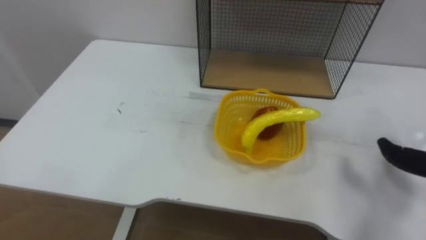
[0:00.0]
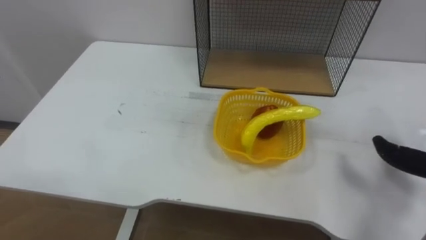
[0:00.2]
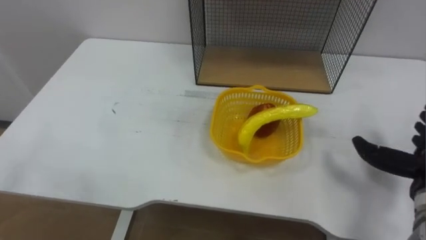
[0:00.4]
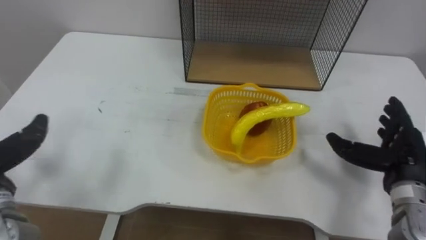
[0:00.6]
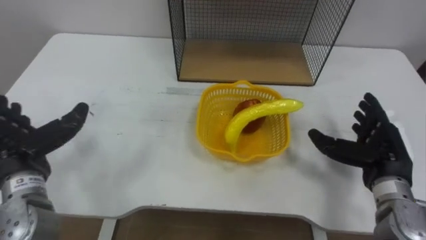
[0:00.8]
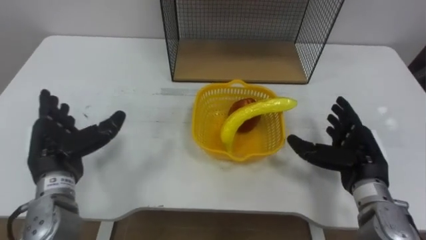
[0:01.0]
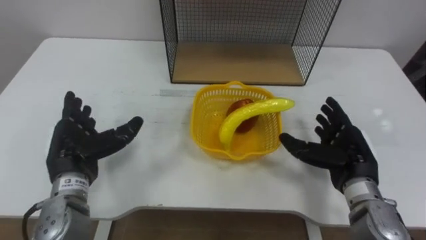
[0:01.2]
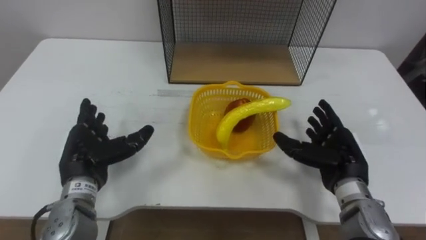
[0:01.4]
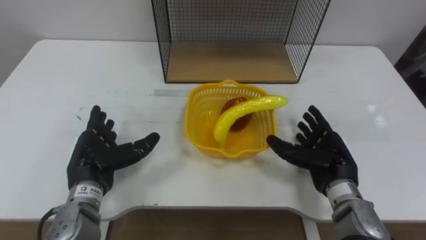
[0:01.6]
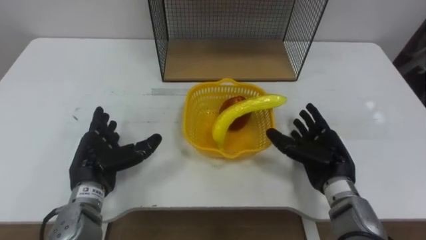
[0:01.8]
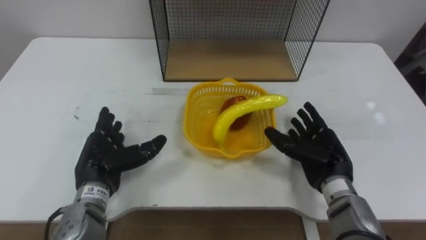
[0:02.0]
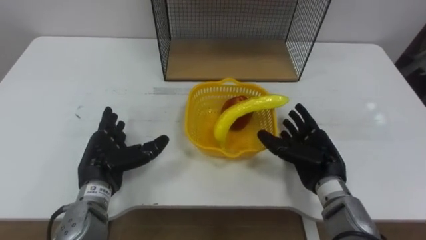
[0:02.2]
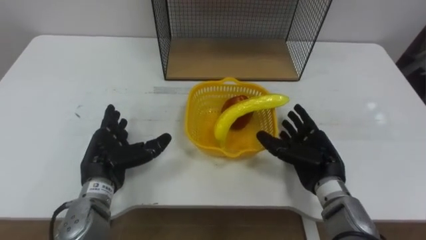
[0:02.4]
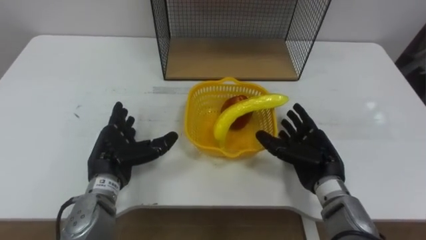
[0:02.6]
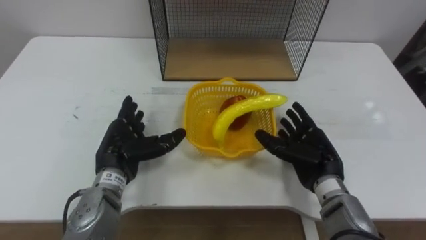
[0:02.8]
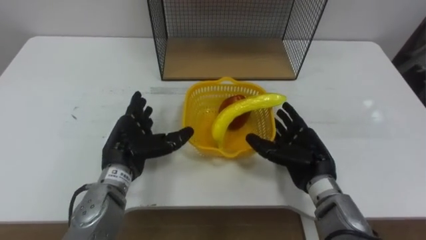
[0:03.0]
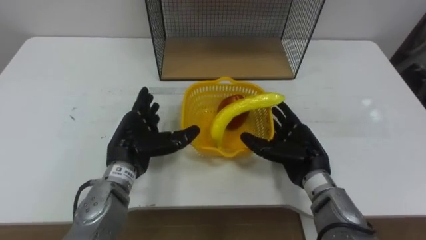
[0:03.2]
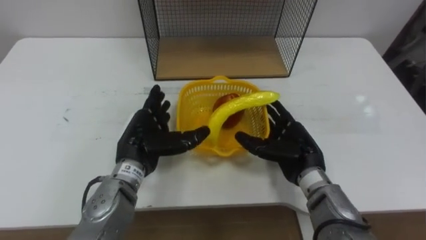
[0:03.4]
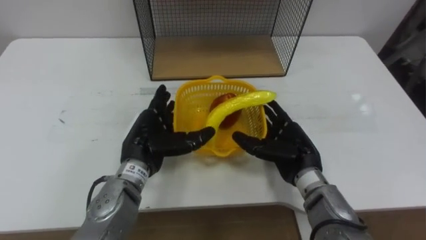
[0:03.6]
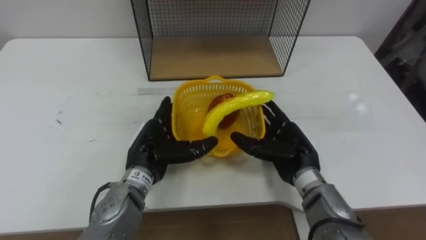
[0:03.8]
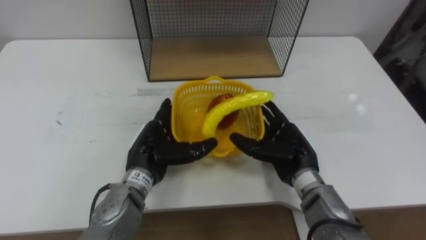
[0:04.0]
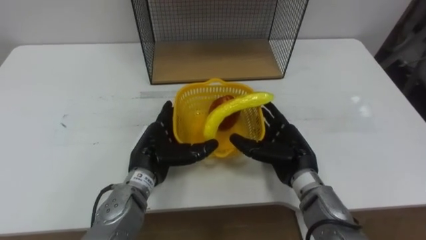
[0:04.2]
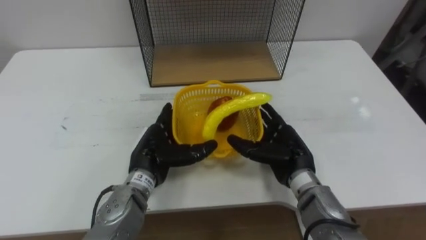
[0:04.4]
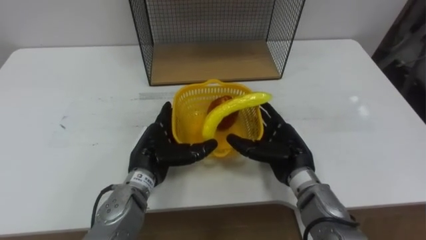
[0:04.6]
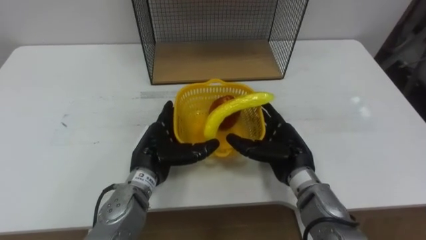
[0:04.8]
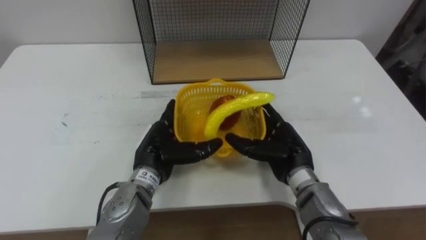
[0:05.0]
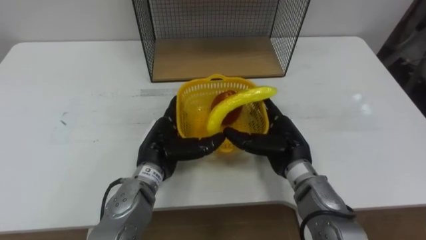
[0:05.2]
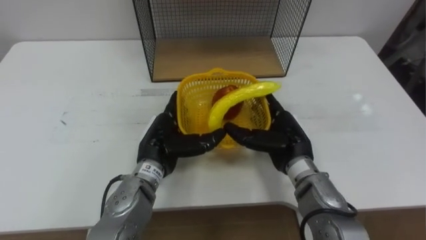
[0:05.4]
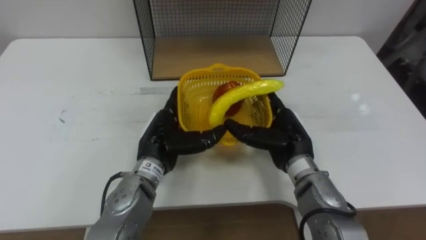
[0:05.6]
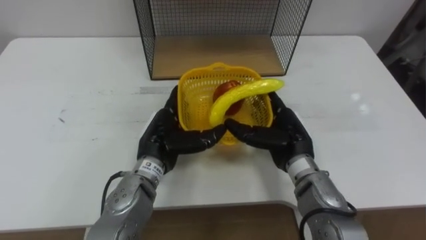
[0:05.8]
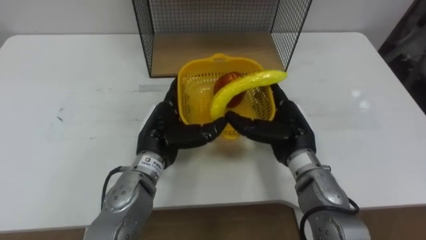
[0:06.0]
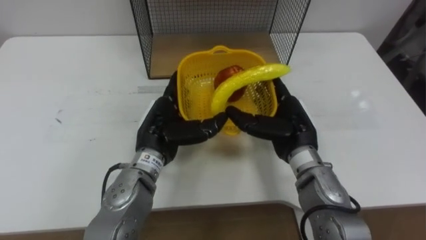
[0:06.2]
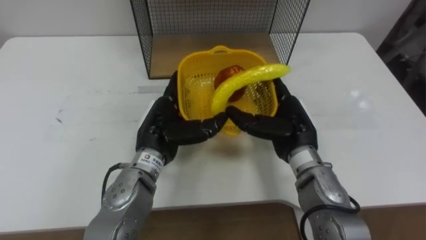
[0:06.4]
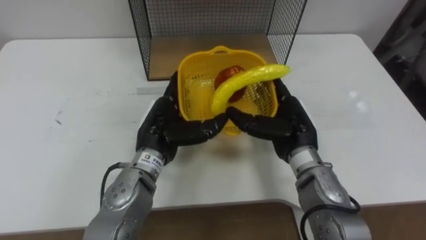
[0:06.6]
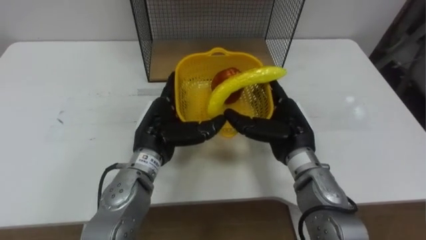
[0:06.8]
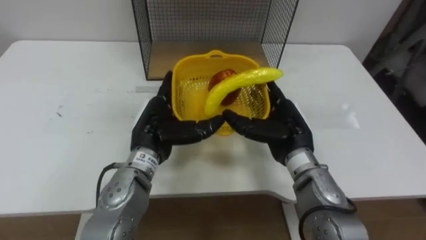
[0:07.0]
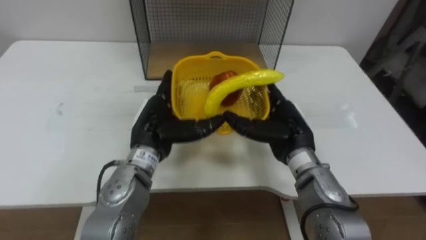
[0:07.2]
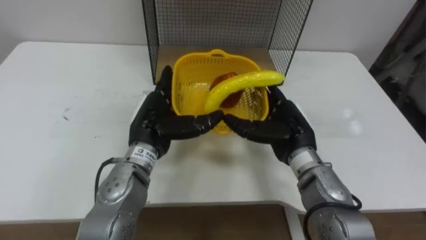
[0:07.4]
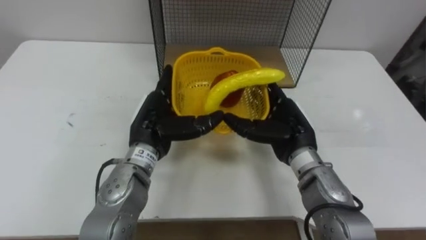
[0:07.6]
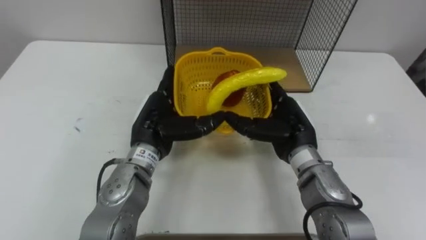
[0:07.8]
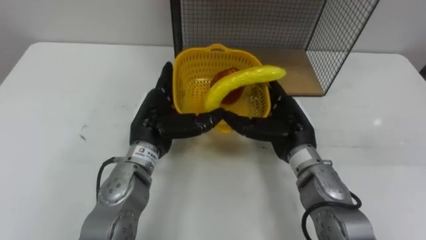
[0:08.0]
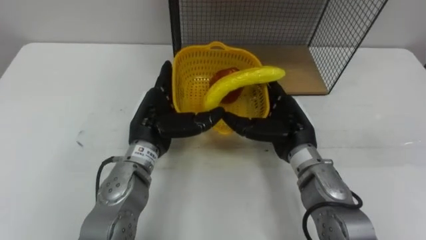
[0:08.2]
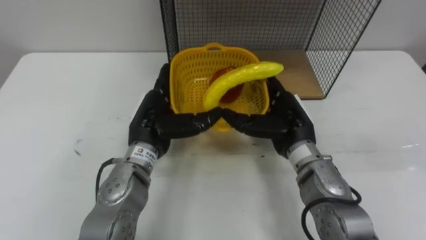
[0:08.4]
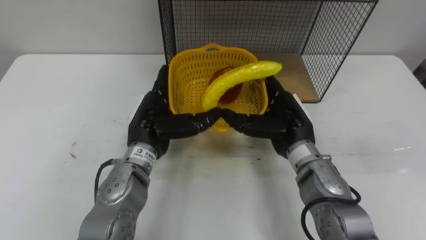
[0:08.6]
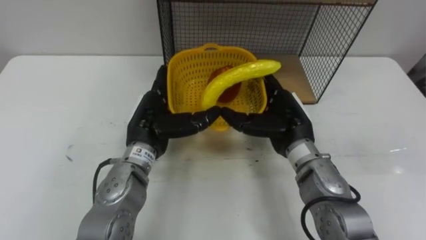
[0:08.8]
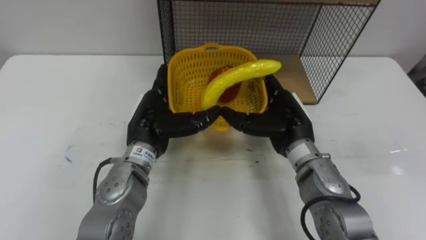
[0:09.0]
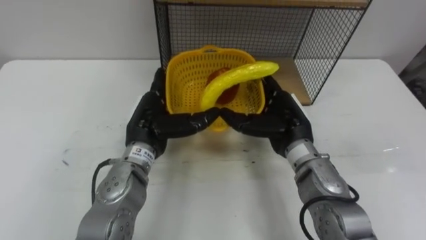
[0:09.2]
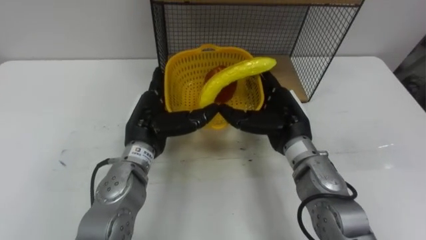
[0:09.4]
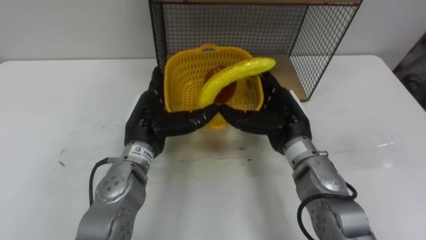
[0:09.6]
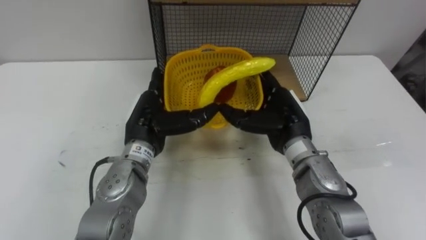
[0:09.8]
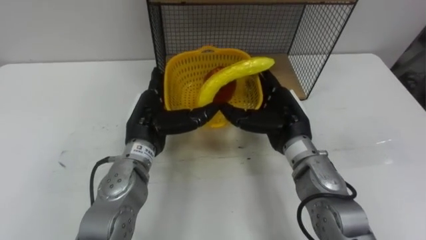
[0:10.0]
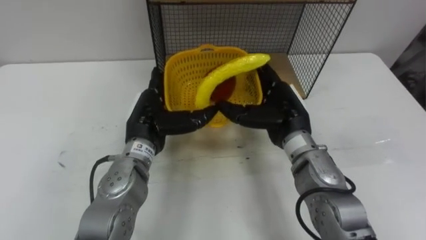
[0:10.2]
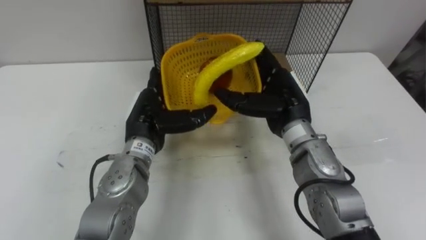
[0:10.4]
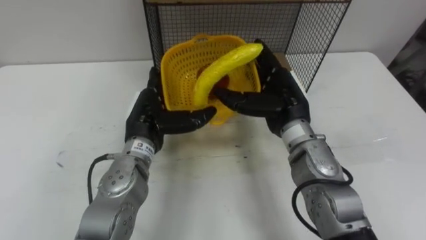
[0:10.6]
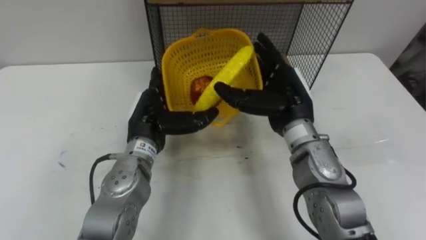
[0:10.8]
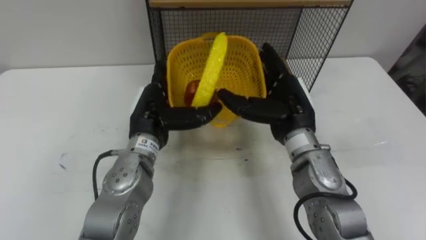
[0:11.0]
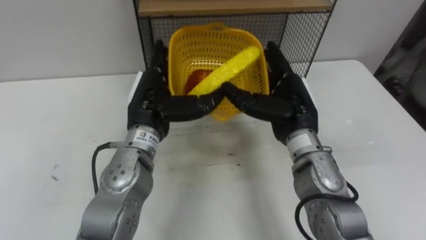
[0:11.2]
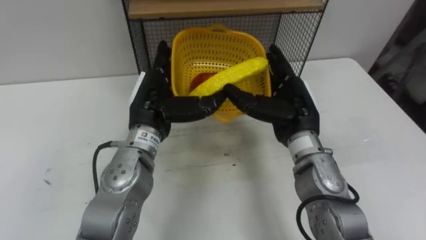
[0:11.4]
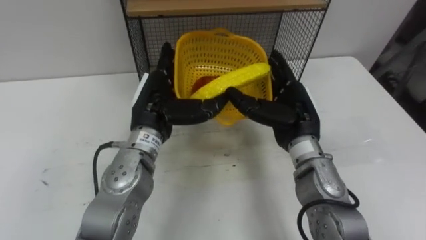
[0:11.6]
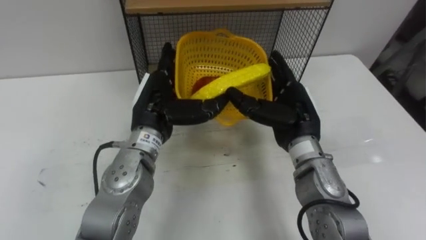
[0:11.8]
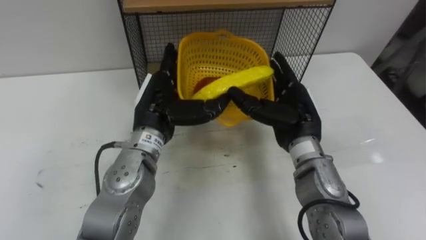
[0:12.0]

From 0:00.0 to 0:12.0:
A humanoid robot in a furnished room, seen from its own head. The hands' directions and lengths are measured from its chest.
Task of the whole recording: Put the fruit on the table into the basket, then place the basket on the shelf.
From 0:01.6 to 0:03.0: The left hand travels to the right by roughly 5 cm.
From 0:03.0 to 0:04.4: The left hand changes place by roughly 5 cm.
From 0:04.4 to 0:06.0: The right hand shifts by roughly 5 cm. The left hand ends up some 5 cm from where it was.

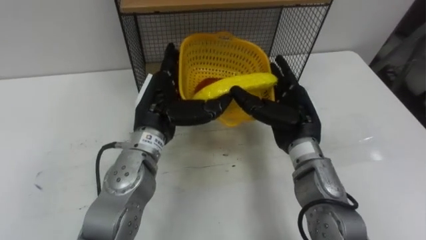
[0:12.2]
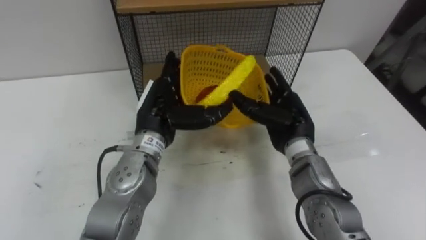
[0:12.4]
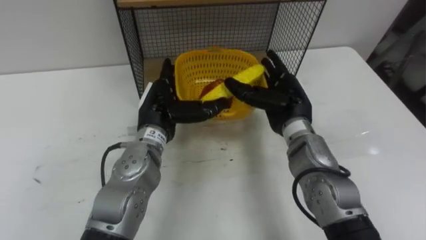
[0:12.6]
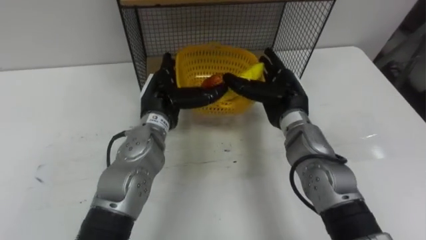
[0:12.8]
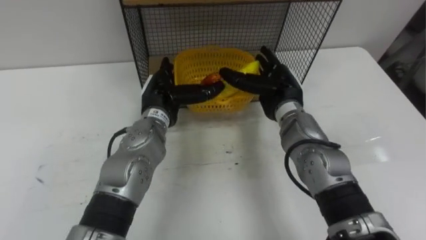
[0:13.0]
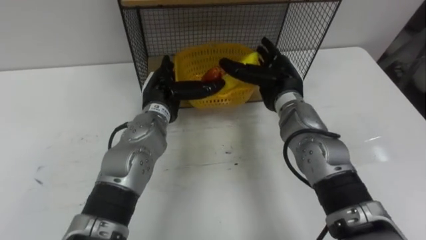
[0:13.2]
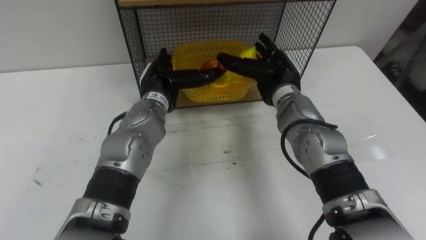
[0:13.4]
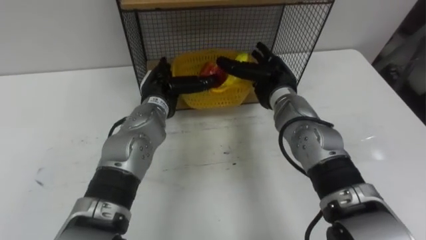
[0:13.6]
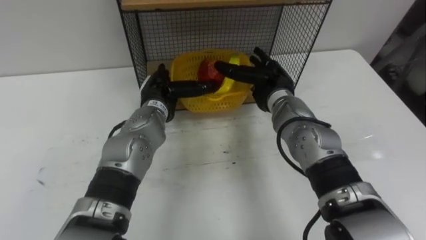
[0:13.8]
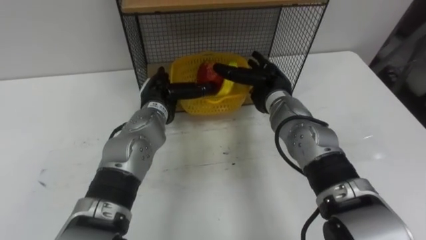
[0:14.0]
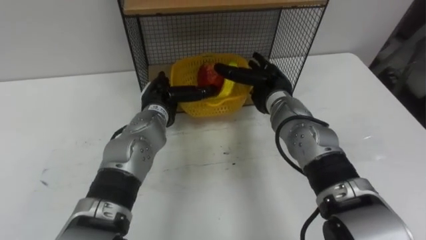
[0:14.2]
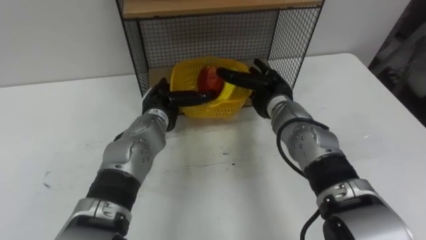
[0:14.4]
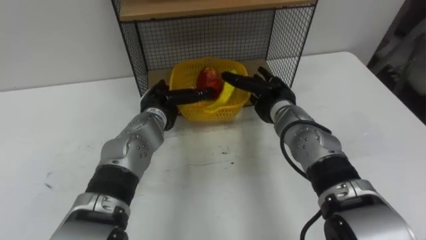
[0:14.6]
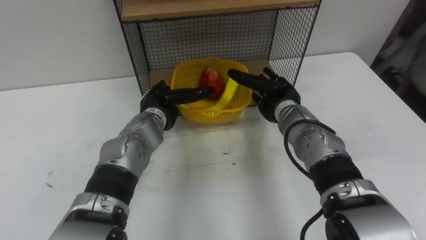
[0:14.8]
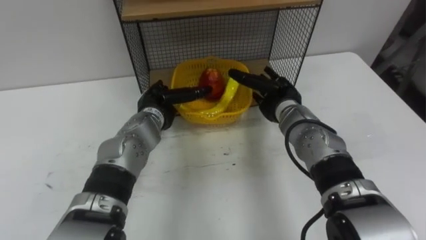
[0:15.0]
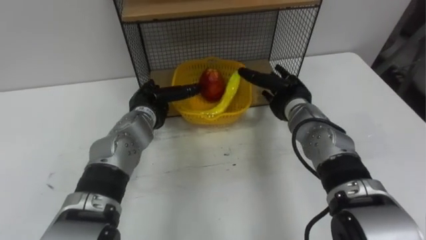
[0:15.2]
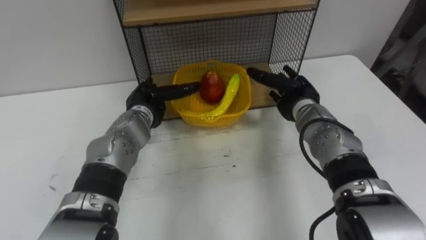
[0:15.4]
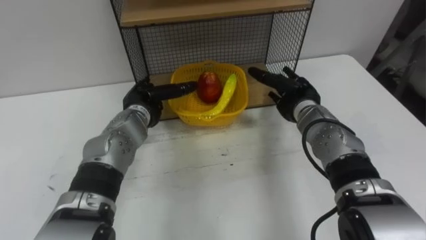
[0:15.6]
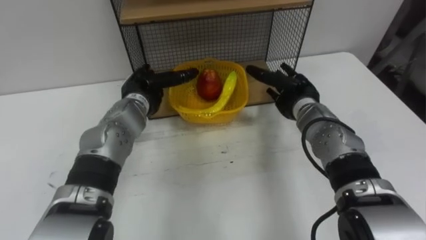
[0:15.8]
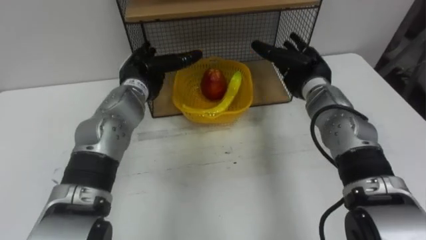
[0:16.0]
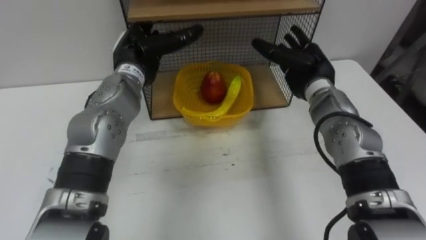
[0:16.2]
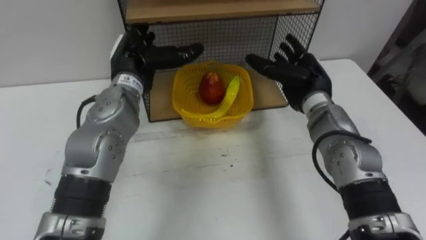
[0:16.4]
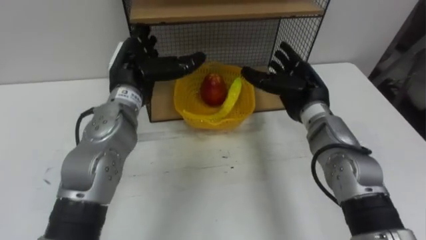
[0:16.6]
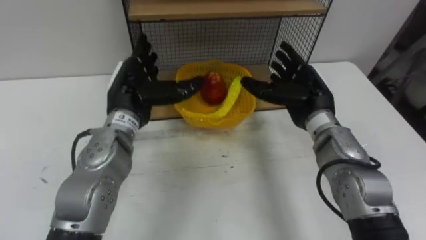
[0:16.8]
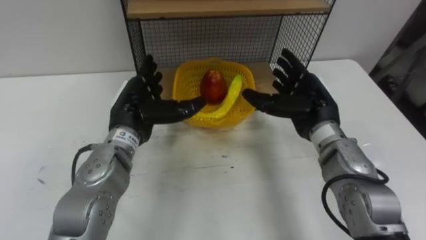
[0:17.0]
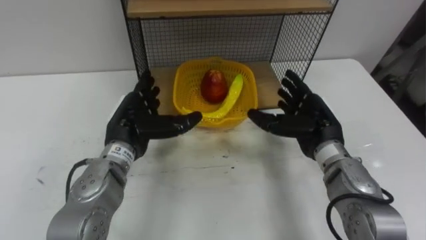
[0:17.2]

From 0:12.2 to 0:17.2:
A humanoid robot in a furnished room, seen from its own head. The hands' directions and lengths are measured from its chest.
Task of the whole recording: Put the fruit on the table into the basket, then place the basket on the shelf.
From 0:12.2 to 0:13.8: The right hand is displaced forward by approximately 10 cm. Meanwhile the left hand moves forward and downward, roughly 10 cm.
From 0:13.8 to 0:15.6: The right hand heads to the right, covering roughly 5 cm.
From 0:15.6 to 0:17.2: Both hands travel together backward, about 10 cm.
